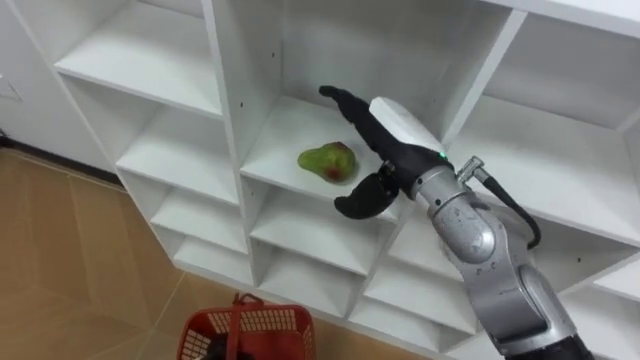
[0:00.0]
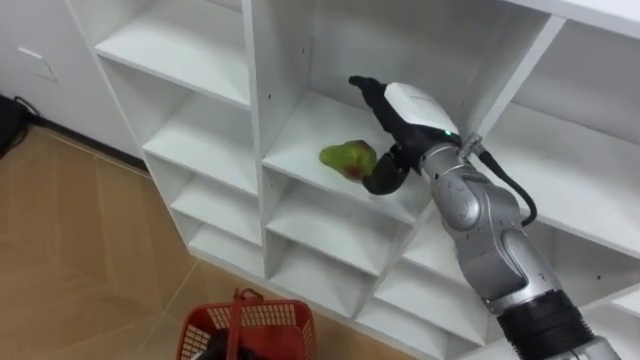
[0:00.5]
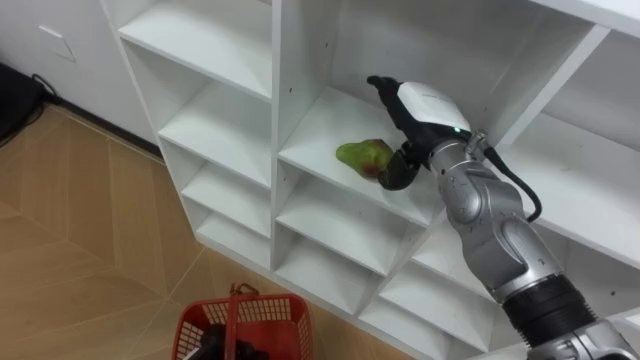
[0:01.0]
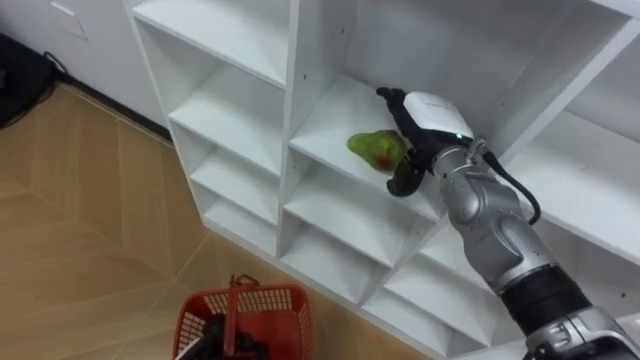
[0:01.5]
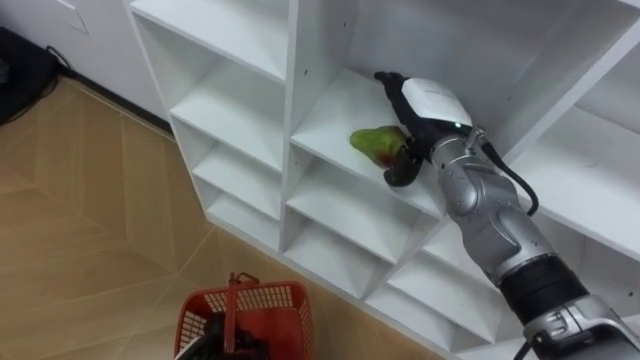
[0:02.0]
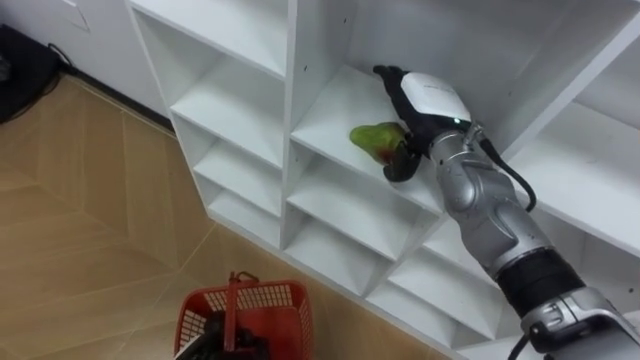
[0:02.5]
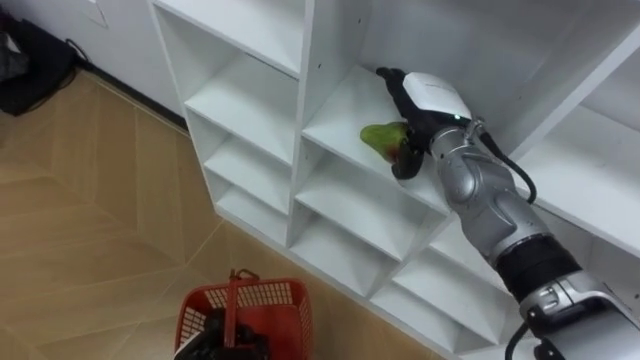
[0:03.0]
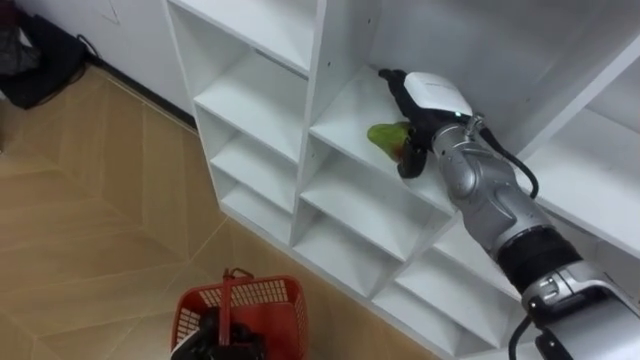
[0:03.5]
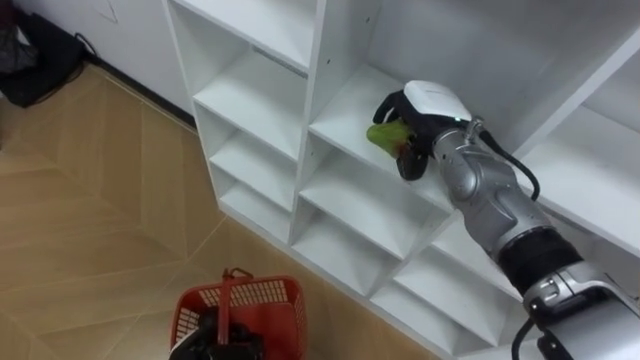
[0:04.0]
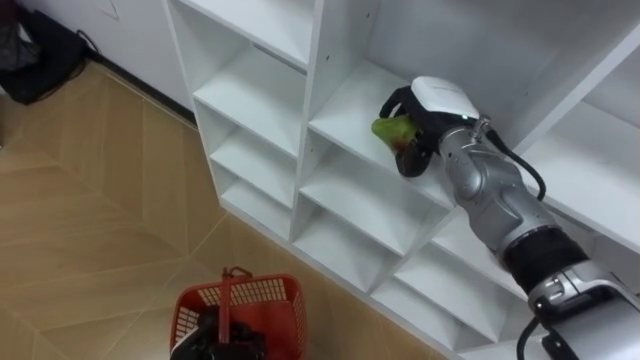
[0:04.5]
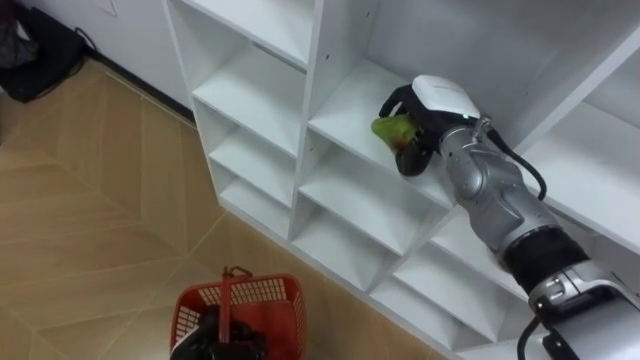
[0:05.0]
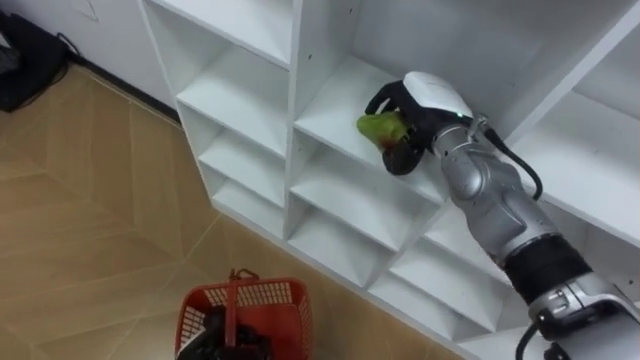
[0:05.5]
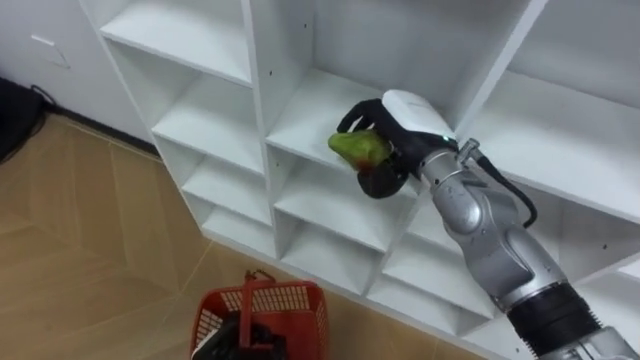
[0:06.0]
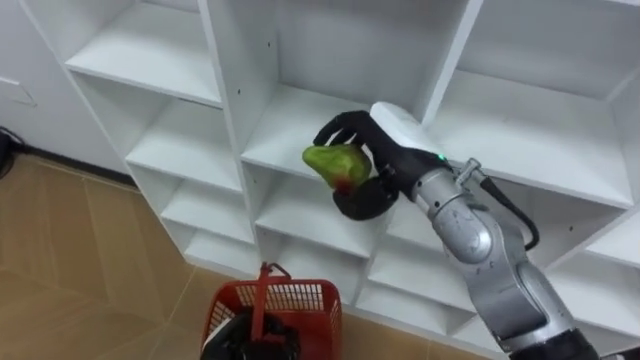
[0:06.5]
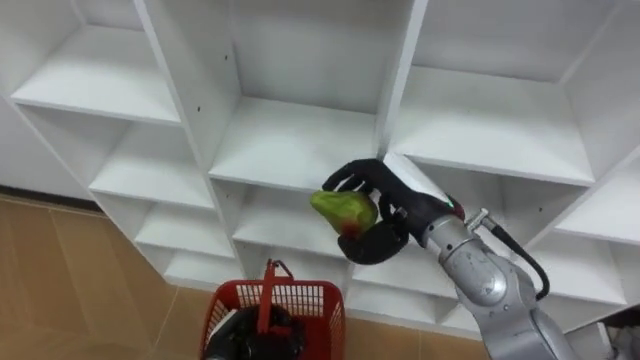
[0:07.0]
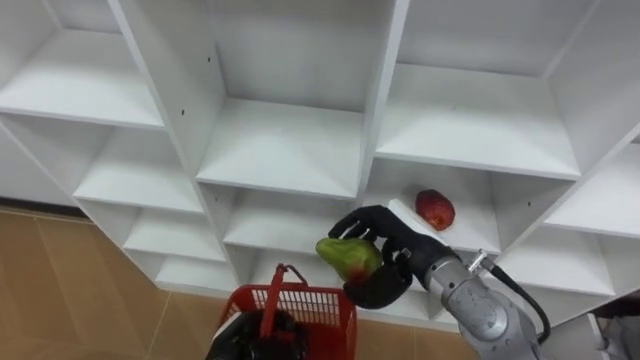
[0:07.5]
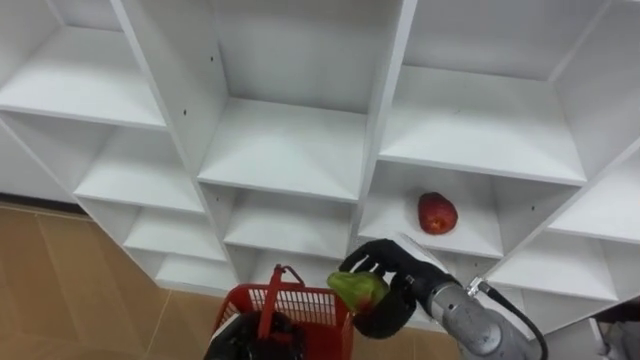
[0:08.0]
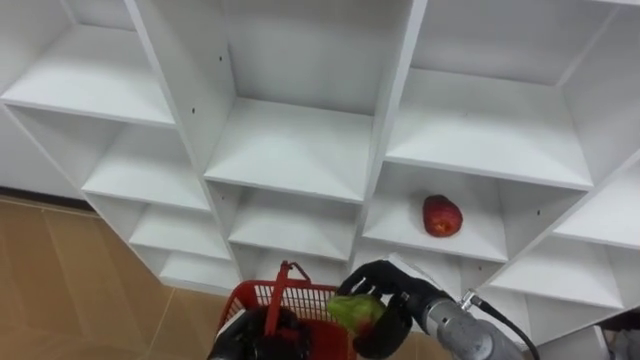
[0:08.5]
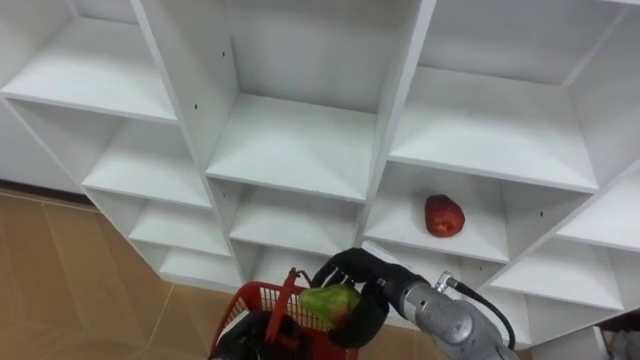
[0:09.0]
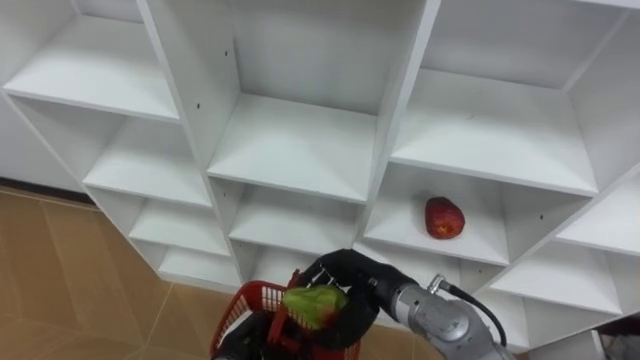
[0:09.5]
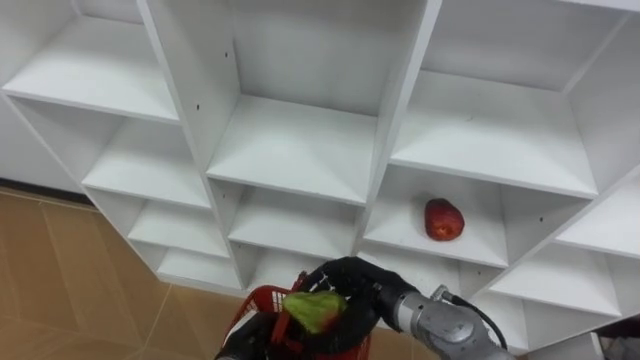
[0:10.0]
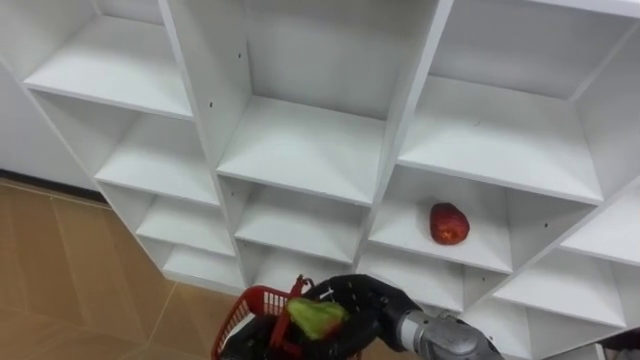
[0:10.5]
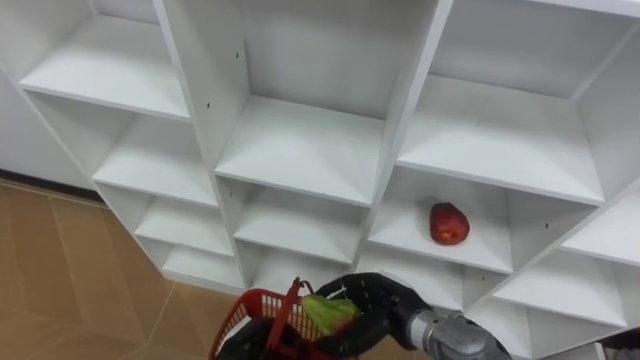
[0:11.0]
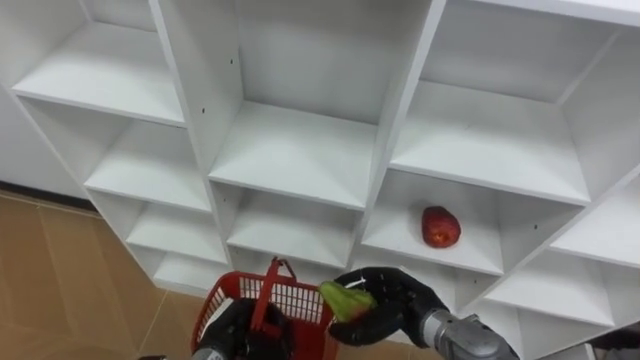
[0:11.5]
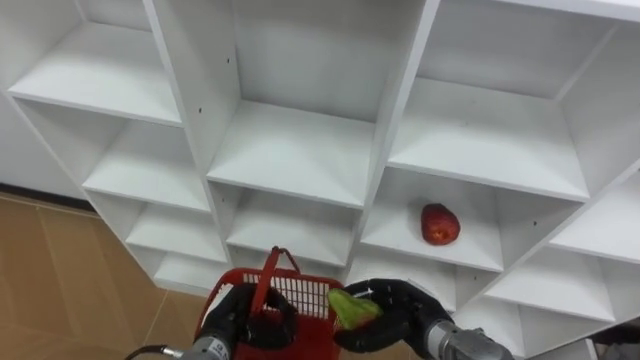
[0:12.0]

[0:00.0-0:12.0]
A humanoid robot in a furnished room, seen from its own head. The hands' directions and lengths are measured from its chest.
Task of the whole recording: Hold the basket and collect the fruits from 3 different cells of the closet into it.
0:00.0 to 0:02.0: The right hand travels forward by some 5 cm.
0:02.0 to 0:04.0: The right hand closes.
0:04.0 to 0:06.0: The right hand moves roughly 5 cm.
0:06.0 to 0:08.0: The right hand goes roughly 20 cm downward and backward.
0:08.0 to 0:10.0: The right hand heads to the left, covering about 5 cm.
0:10.0 to 0:12.0: The right hand goes some 10 cm to the right and downward.

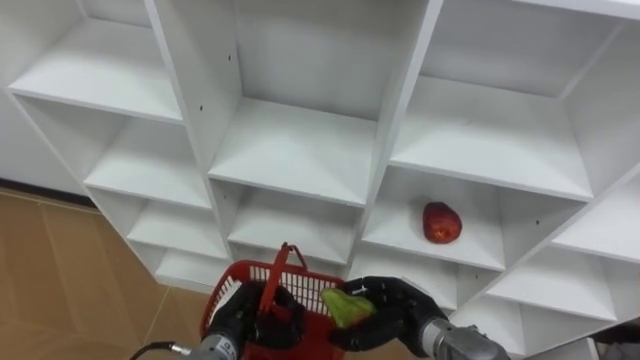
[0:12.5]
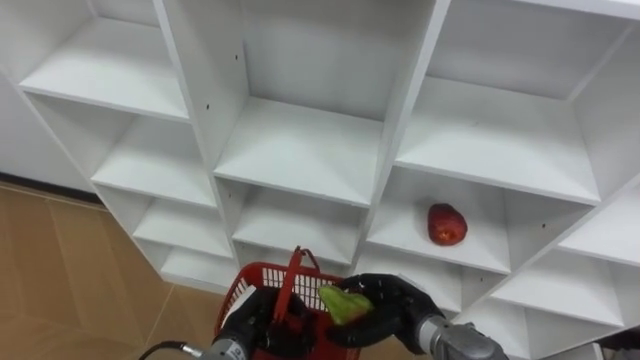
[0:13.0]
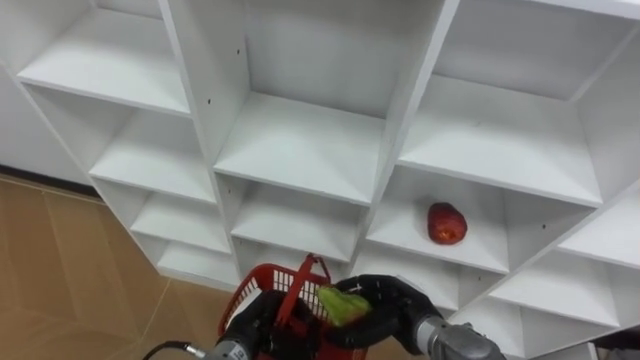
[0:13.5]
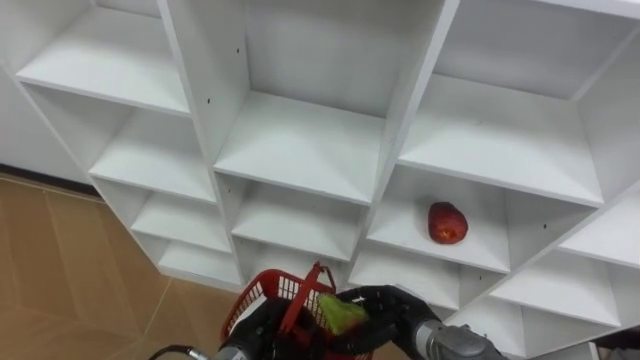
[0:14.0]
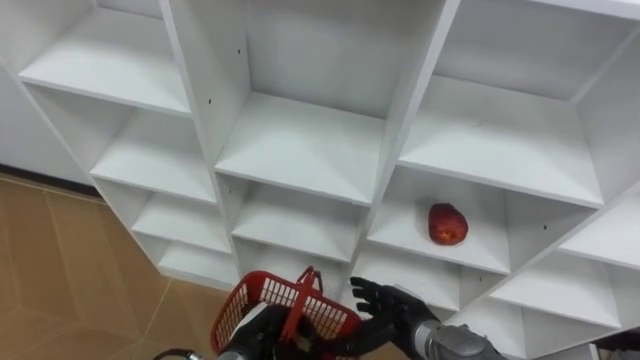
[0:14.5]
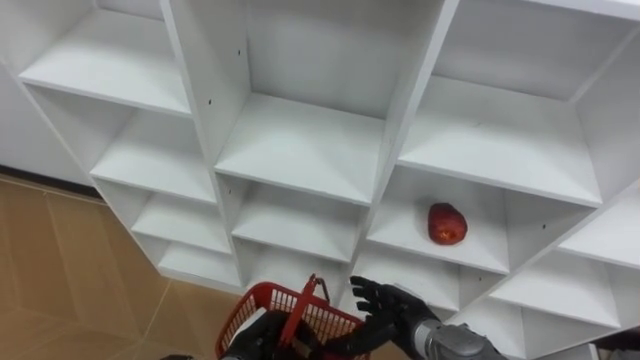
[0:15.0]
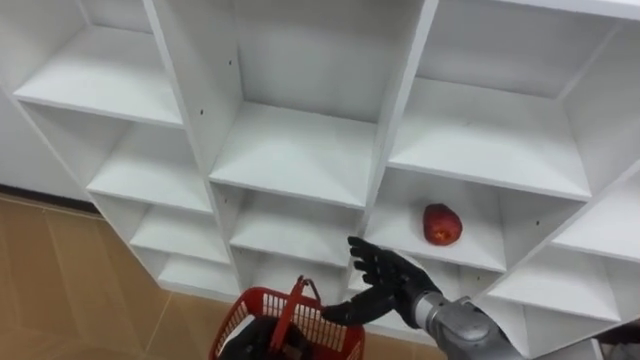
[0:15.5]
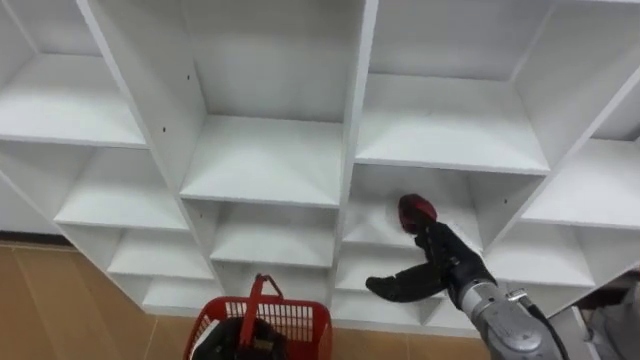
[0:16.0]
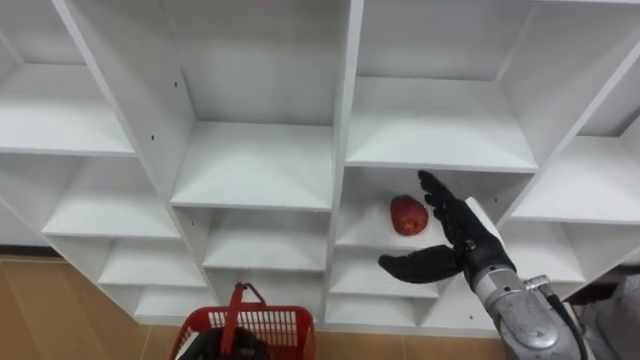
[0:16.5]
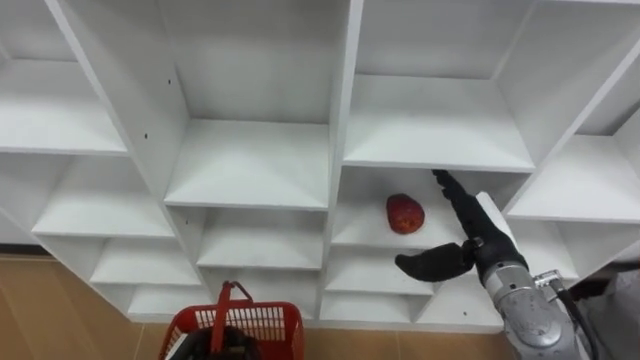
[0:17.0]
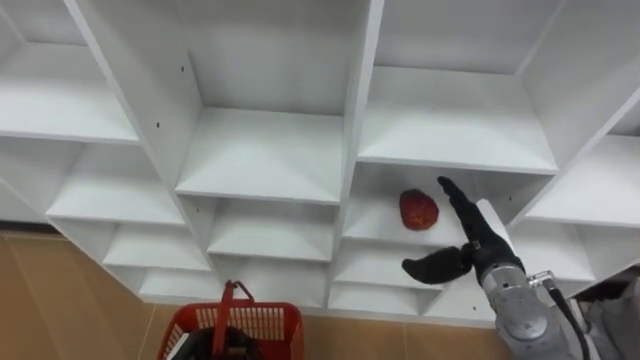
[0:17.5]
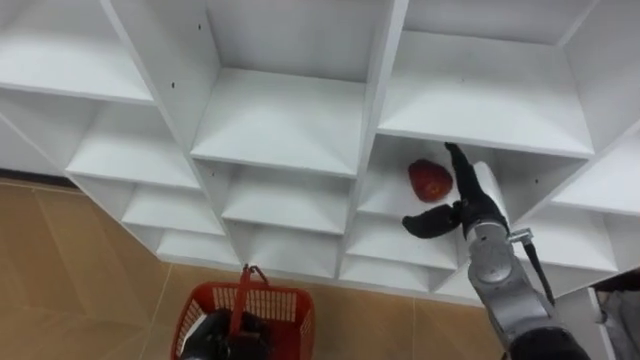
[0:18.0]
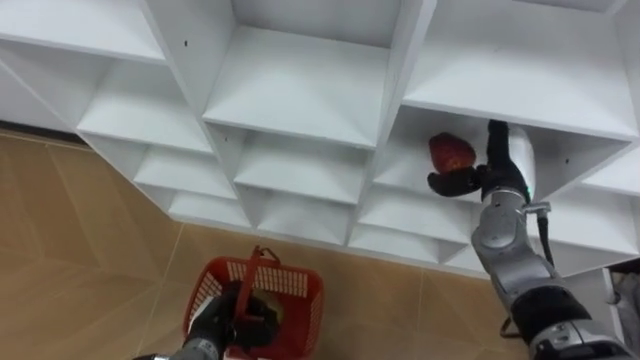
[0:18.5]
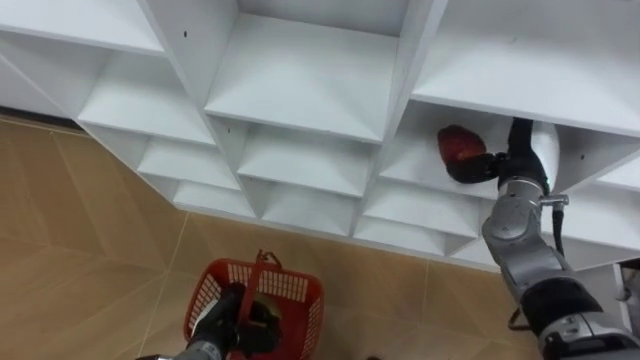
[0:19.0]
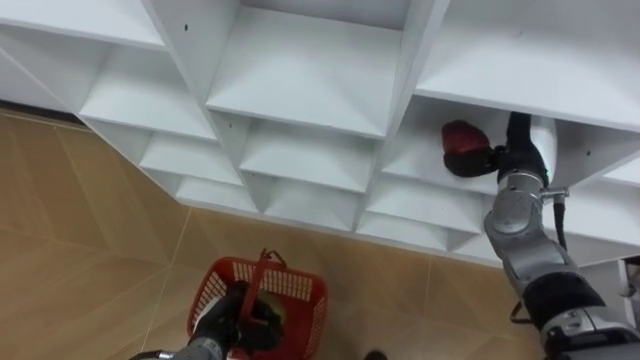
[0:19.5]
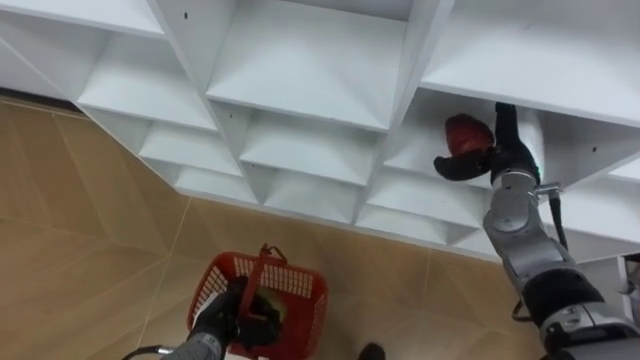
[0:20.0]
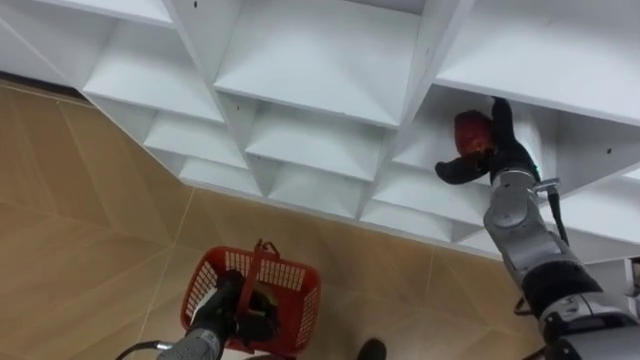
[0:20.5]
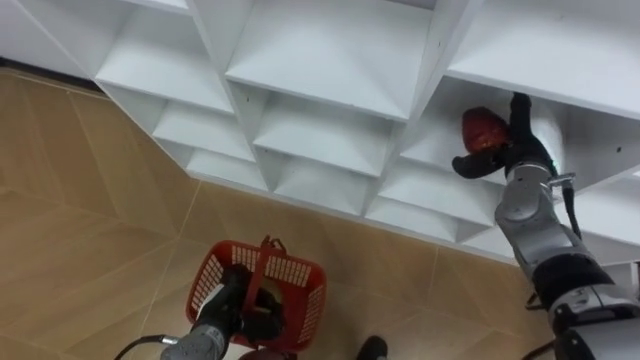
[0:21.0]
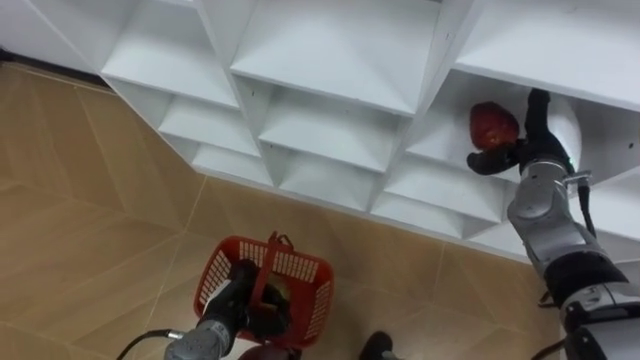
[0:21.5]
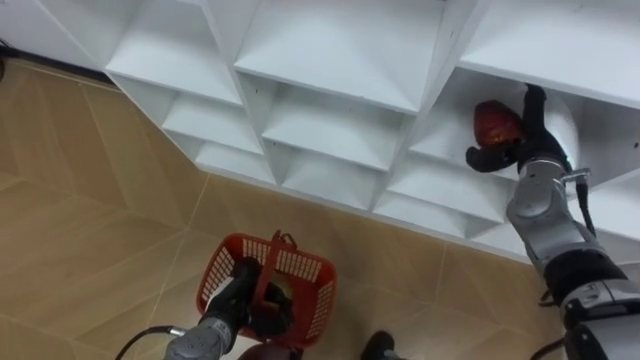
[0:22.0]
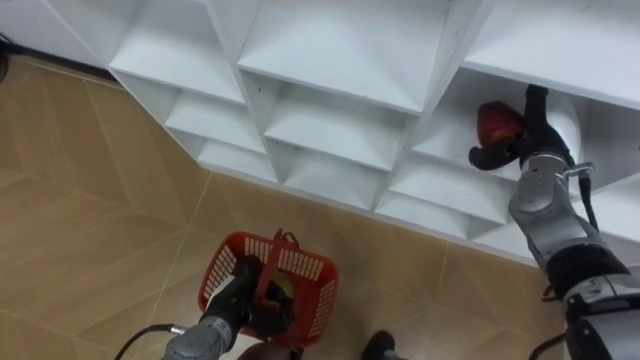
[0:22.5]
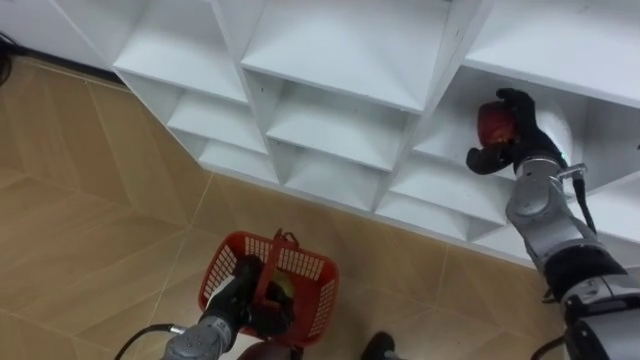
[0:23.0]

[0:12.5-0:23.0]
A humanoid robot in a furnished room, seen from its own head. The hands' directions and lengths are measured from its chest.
Task of the whole recording: Hold the basket and collect the fruits from 3 different cells of the closet into it.
0:12.5 to 0:14.5: The right hand opens its fingers.
0:14.5 to 0:16.5: The right hand is displaced upward, to the right and forward by roughly 15 cm.
0:16.5 to 0:19.0: The right hand shifts some 10 cm forward and to the right.
